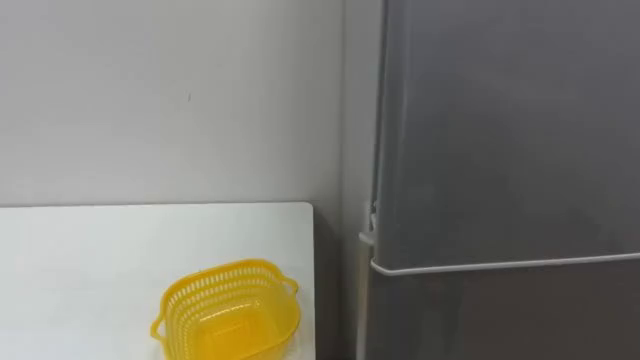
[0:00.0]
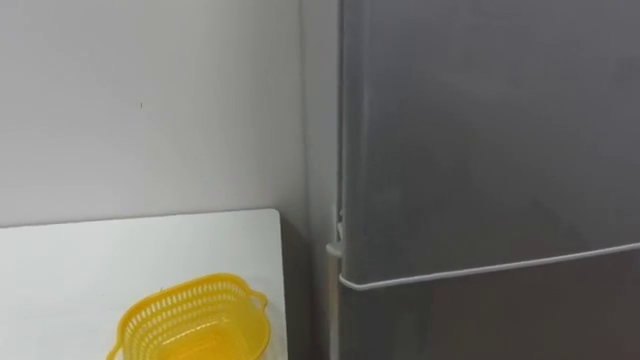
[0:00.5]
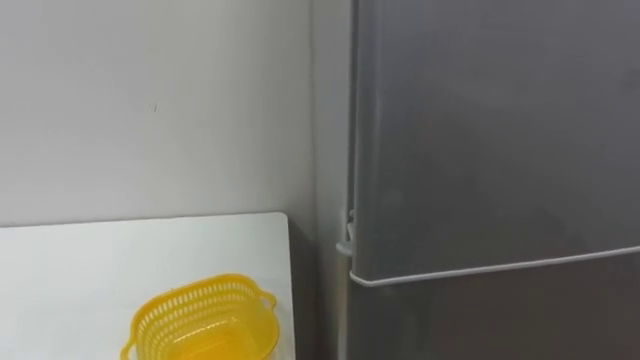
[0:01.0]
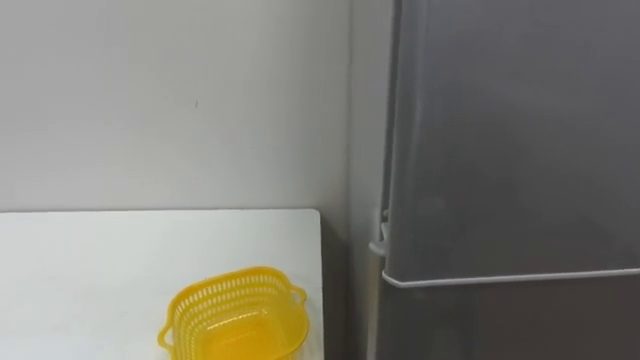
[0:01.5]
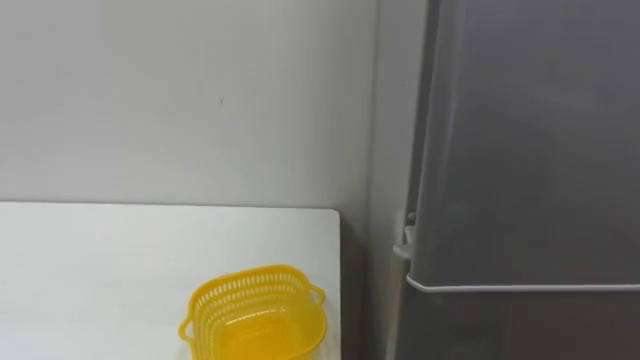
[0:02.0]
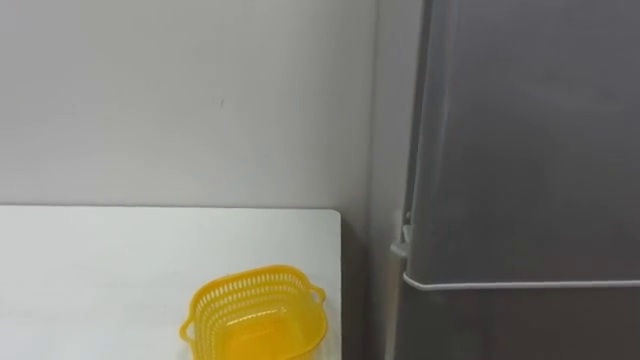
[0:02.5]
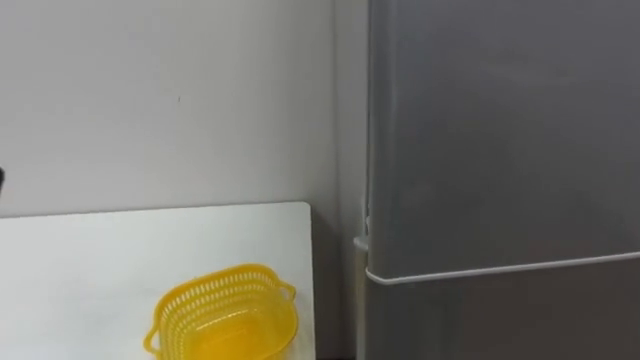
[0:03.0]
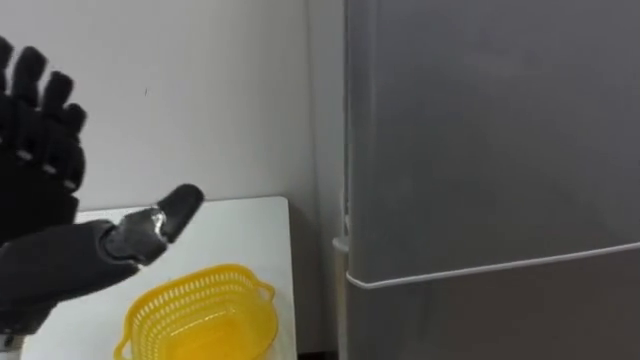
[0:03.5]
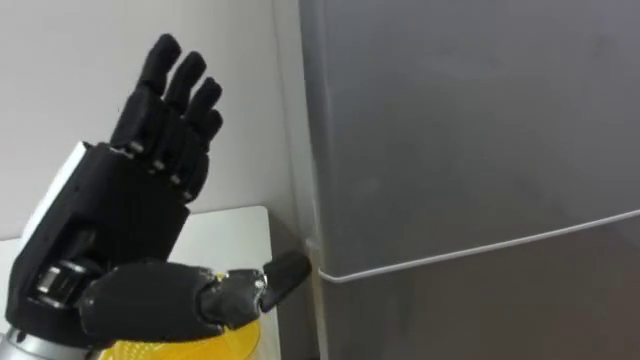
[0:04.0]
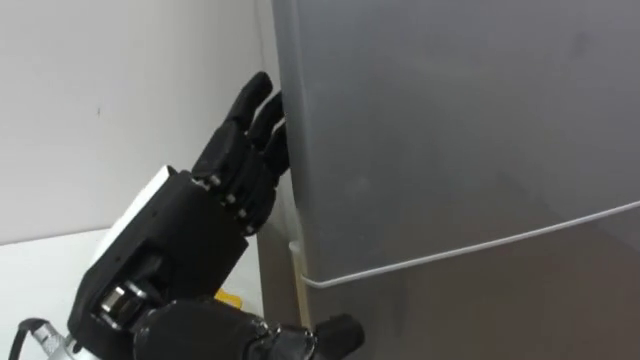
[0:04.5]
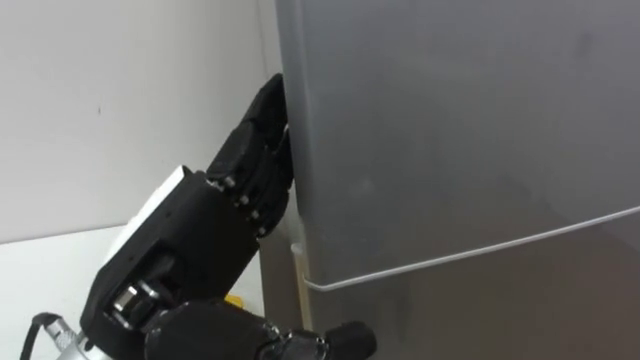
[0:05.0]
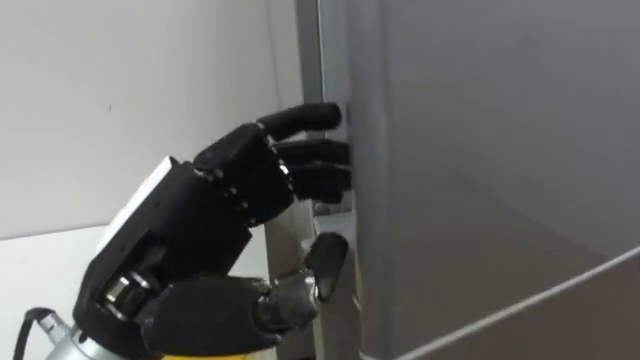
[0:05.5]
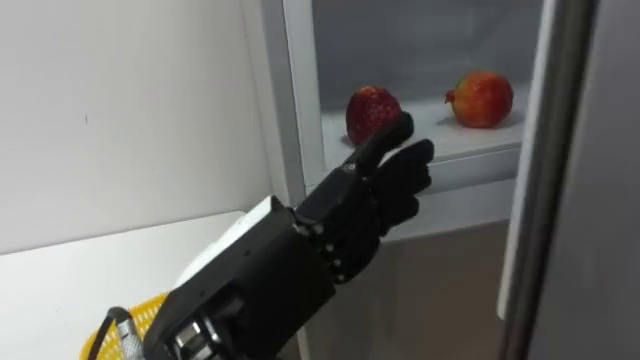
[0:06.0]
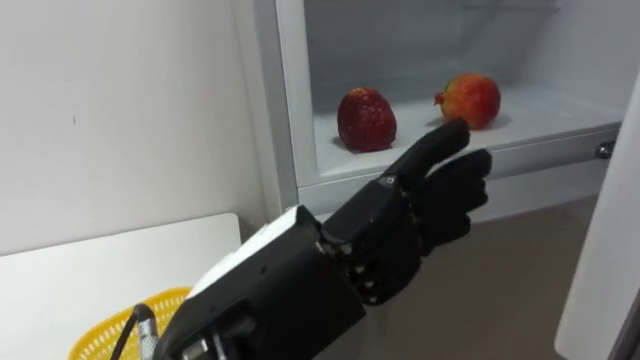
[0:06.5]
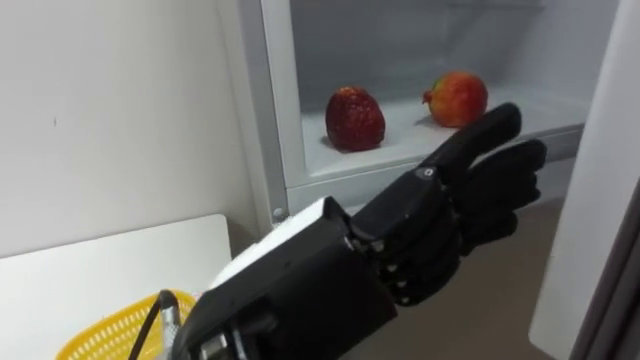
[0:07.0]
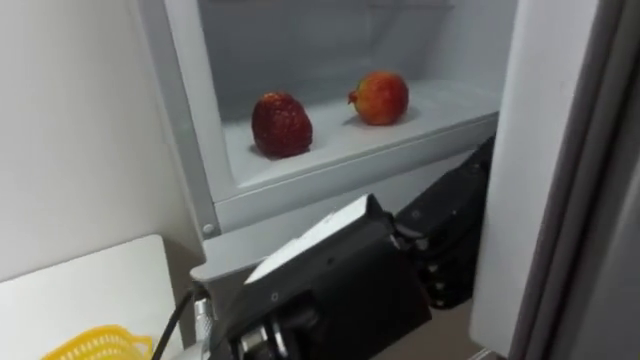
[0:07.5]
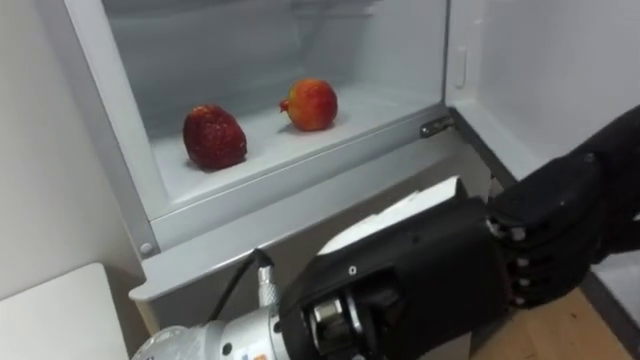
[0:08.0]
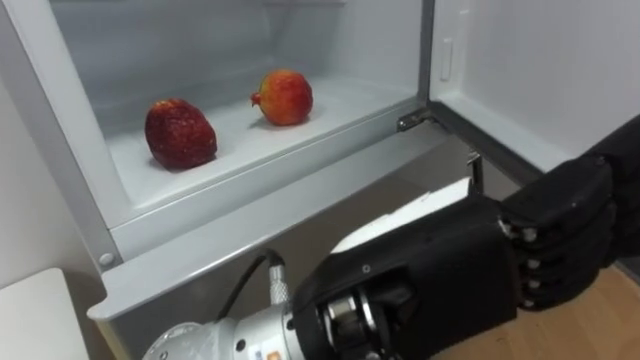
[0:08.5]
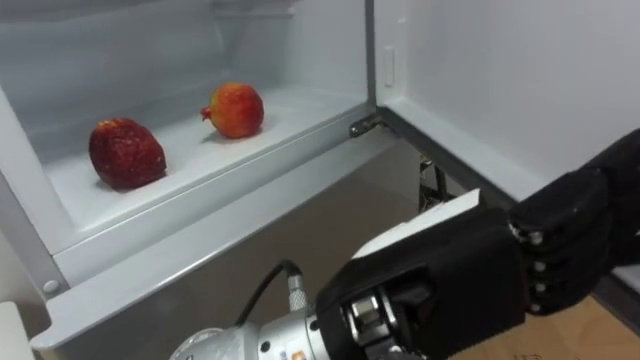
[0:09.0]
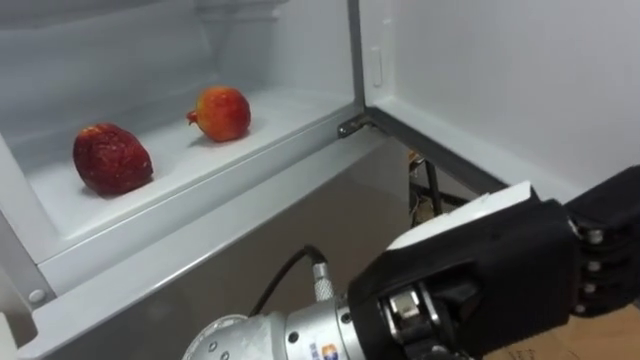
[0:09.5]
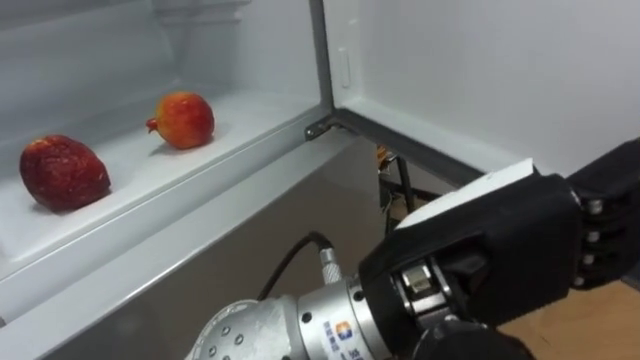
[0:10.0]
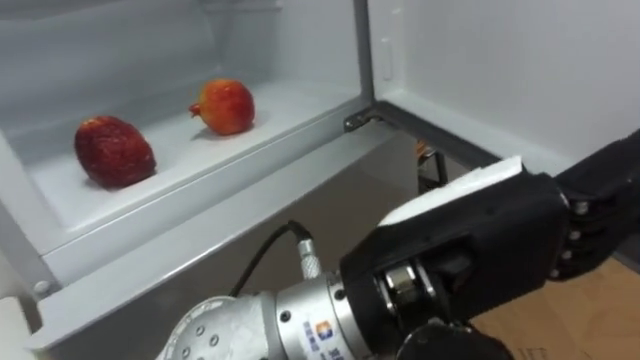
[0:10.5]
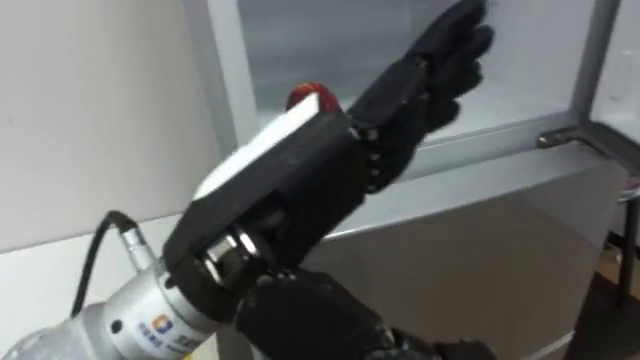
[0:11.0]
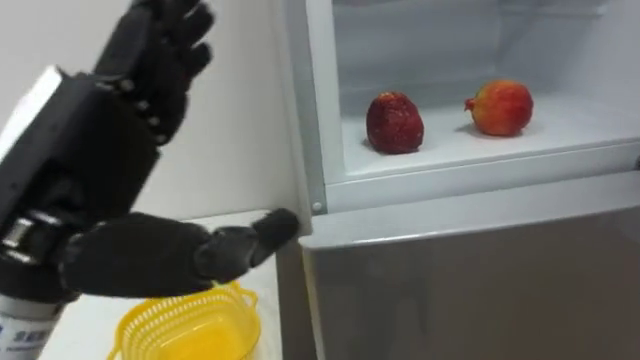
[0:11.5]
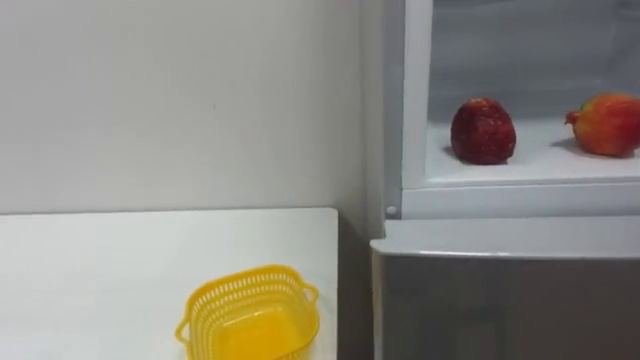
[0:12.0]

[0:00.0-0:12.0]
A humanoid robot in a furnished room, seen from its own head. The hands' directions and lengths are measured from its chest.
Task of the whole recording: Open the refrigerator door, take out the apple and the pomegranate, place them in the fruit basket on the left, and close the refrigerator door.
0:04.0 to 0:06.0: The left hand travels to the right by approximately 10 cm, and closes, then reopens.
0:06.0 to 0:08.0: The left hand travels to the right by some 10 cm.

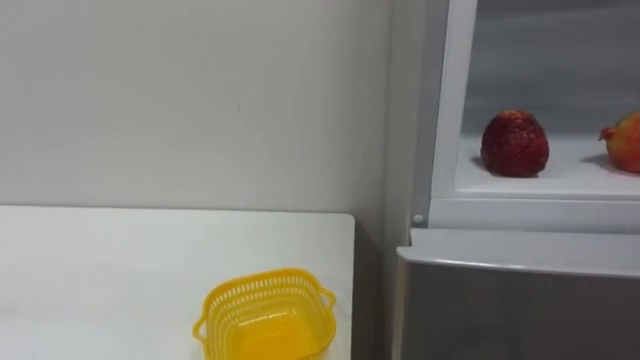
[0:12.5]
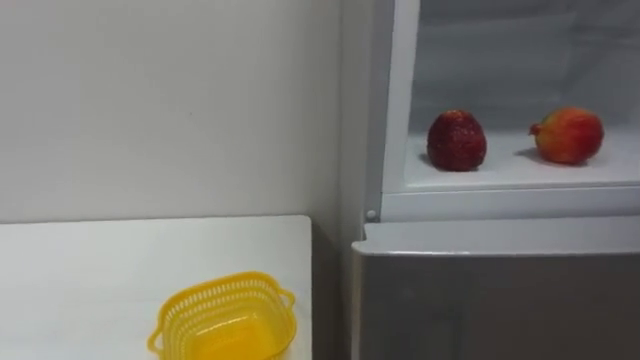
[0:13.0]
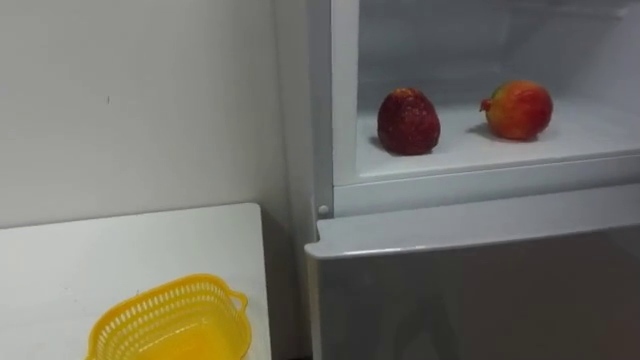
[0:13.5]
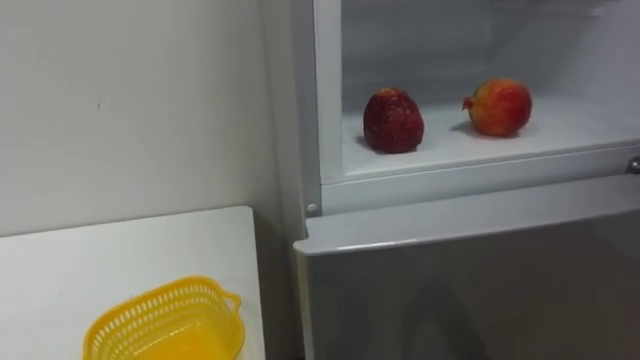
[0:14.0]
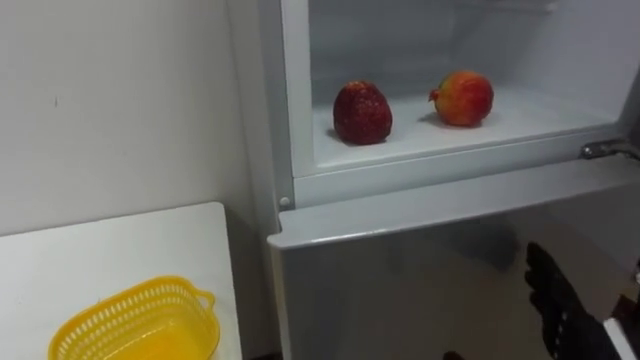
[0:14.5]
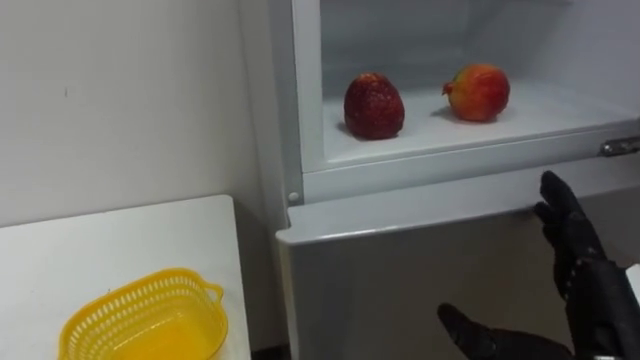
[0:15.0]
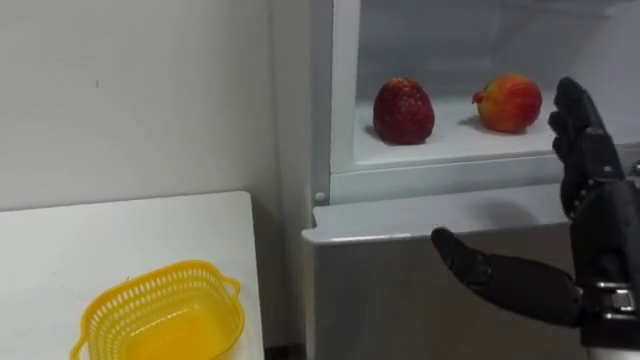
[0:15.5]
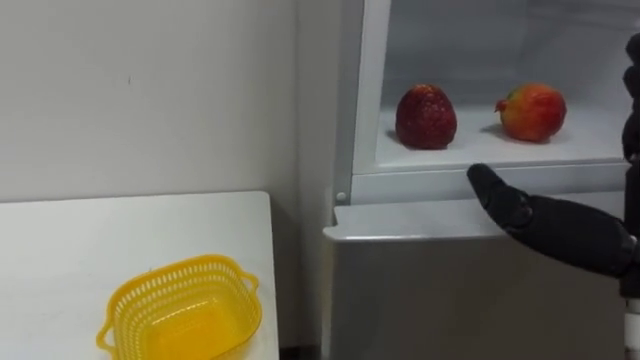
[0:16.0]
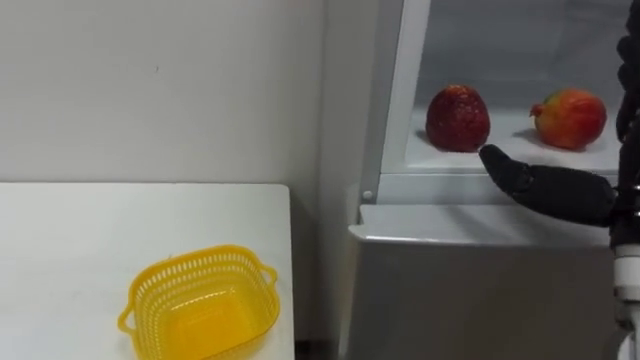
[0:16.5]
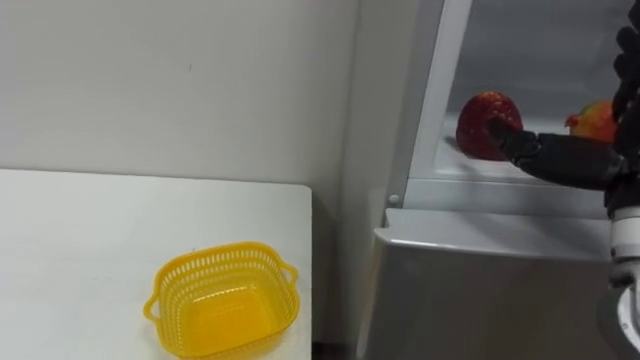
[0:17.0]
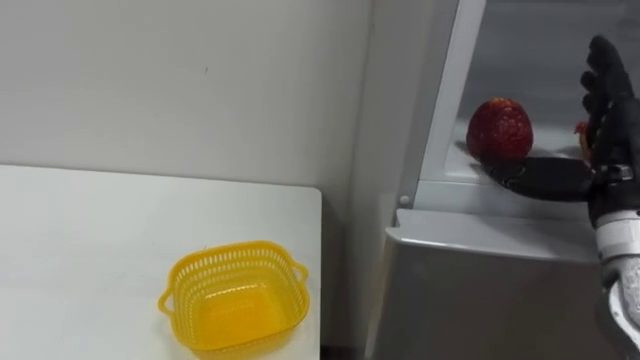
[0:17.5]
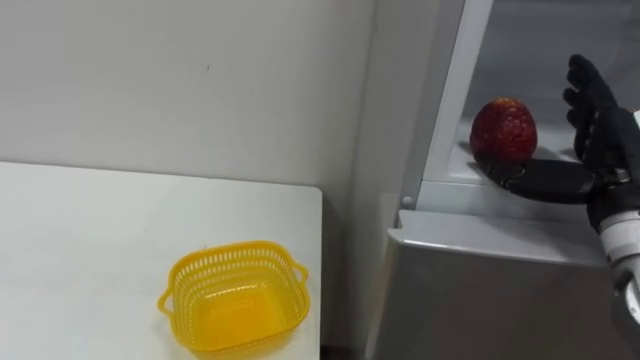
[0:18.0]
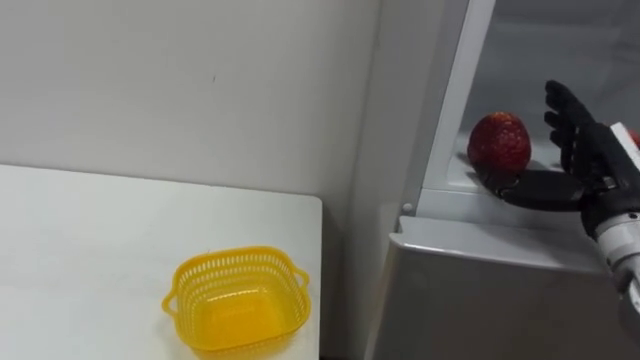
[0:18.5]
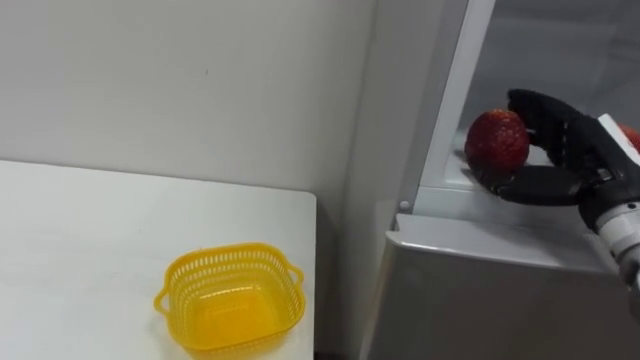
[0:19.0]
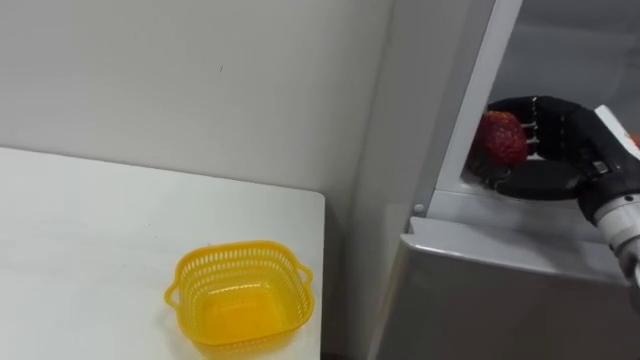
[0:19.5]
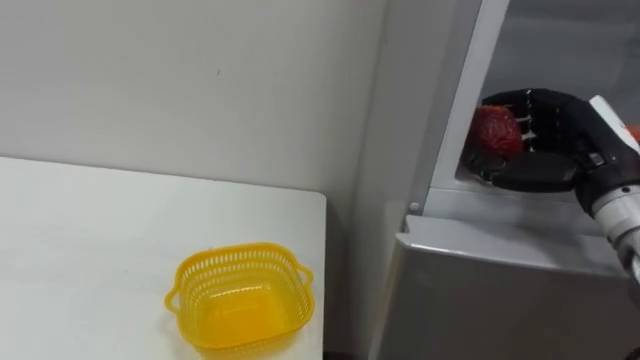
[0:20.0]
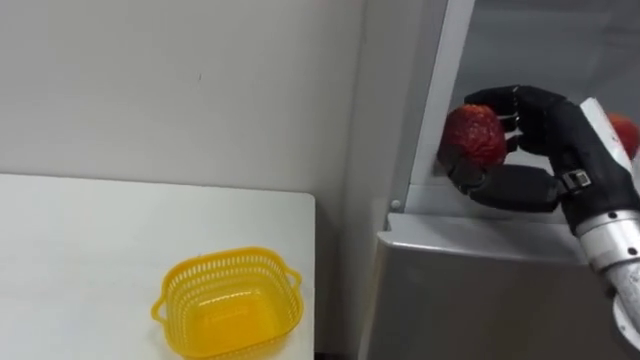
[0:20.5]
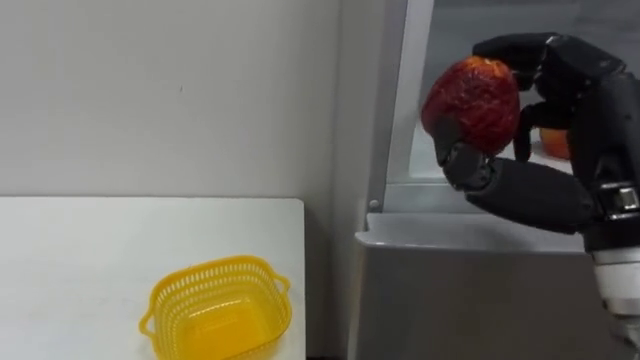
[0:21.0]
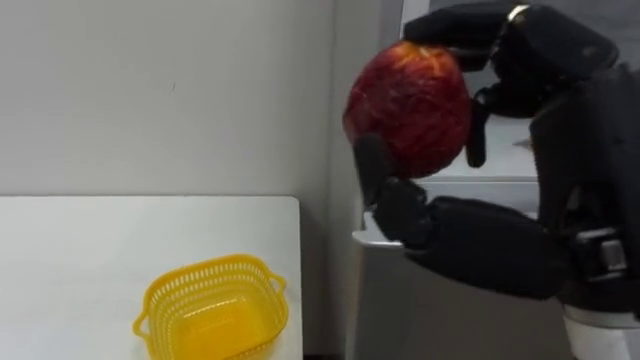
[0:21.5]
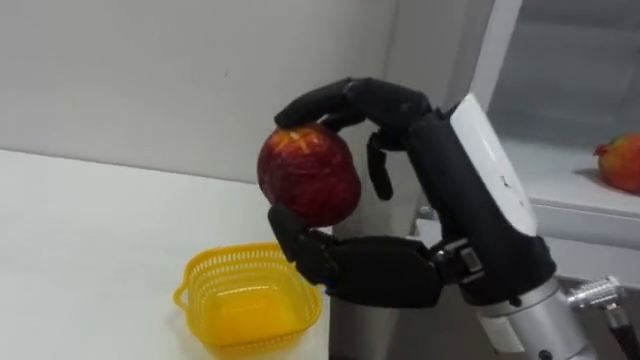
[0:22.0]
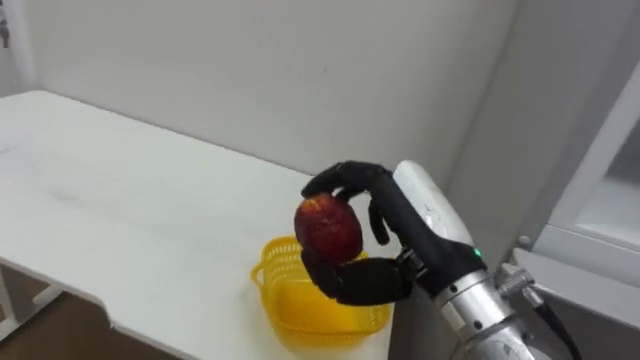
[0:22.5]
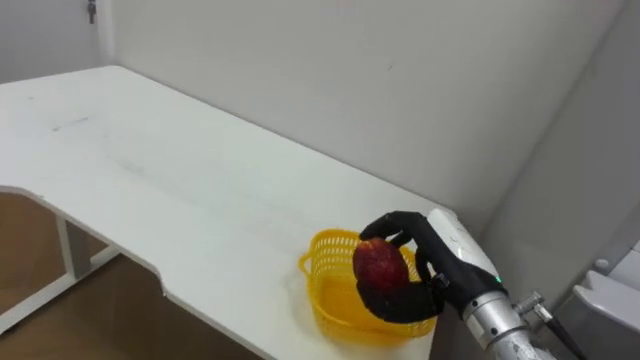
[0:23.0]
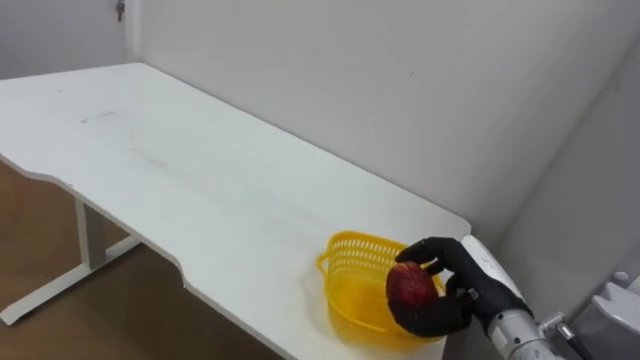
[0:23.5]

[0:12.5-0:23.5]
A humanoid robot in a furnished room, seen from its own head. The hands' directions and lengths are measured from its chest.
Task of the whole recording: Open the refrigerator door, take out the apple and the pomegranate, place them in the fruit basket on the left, and close the refrigerator door.
0:16.0 to 0:18.0: The right hand heads forward, covering approximately 10 cm.
0:18.0 to 0:20.0: The right hand closes up.
0:20.0 to 0:21.5: The right hand heads backward, to the left and upward, covering roughly 20 cm.
0:21.5 to 0:23.5: The right hand shifts some 30 cm downward and forward.
